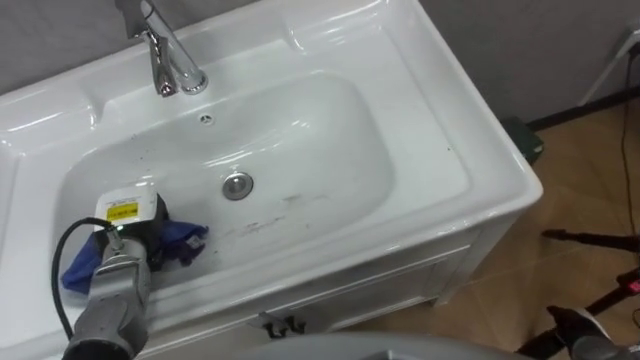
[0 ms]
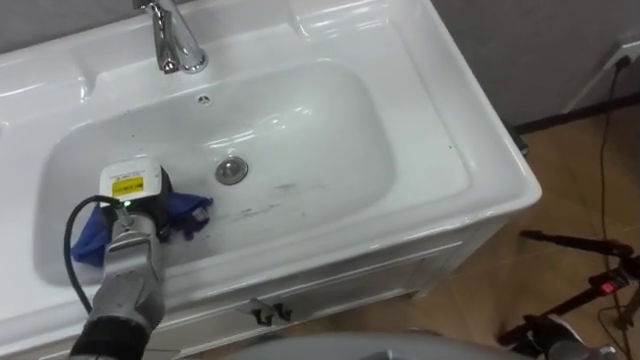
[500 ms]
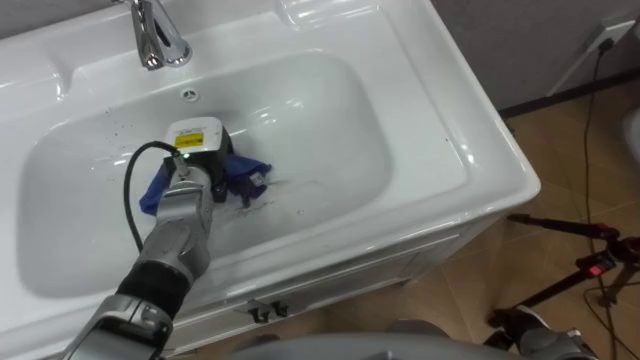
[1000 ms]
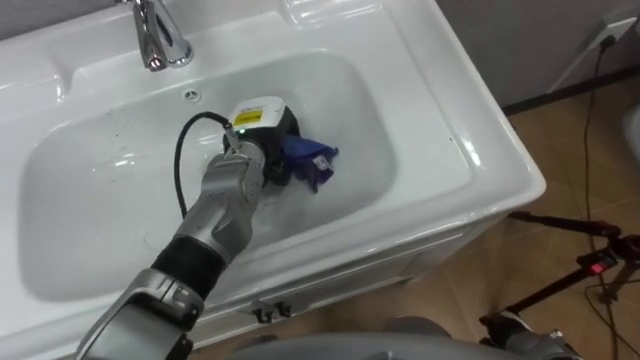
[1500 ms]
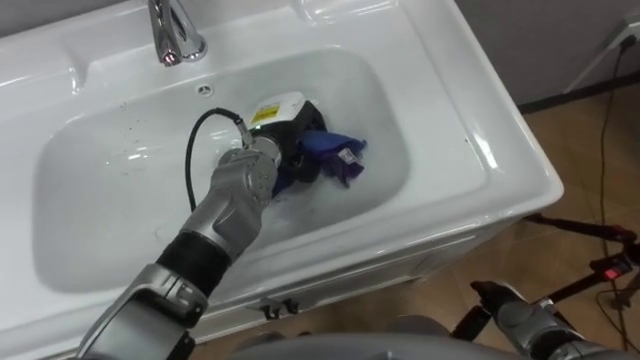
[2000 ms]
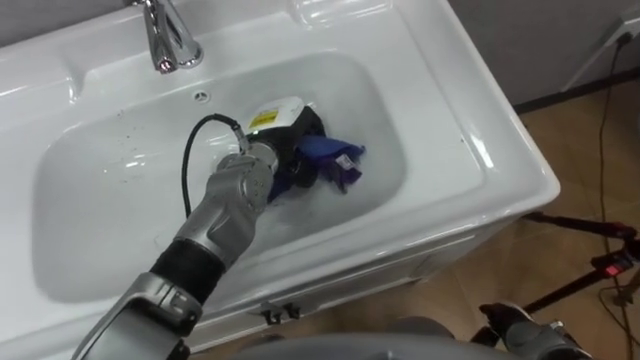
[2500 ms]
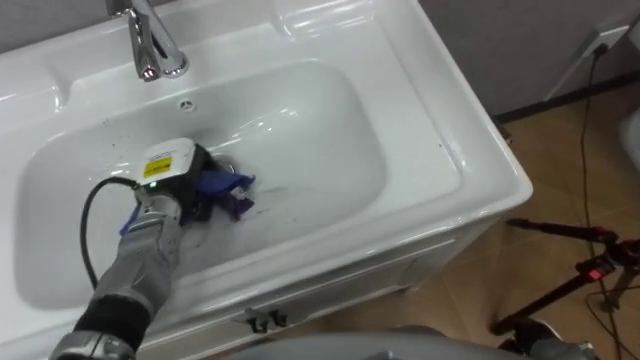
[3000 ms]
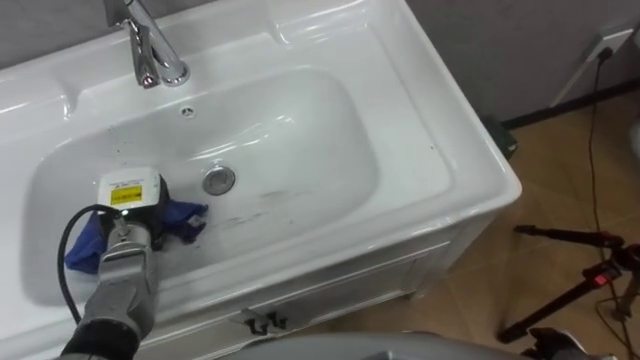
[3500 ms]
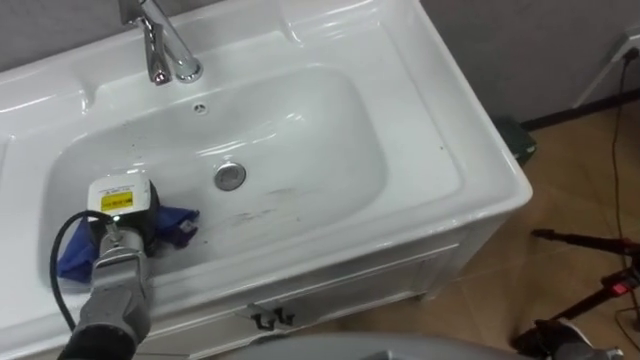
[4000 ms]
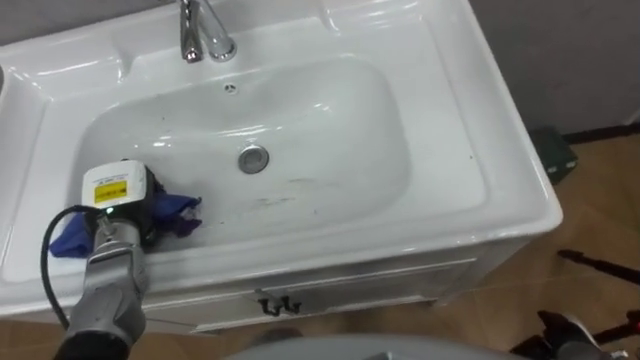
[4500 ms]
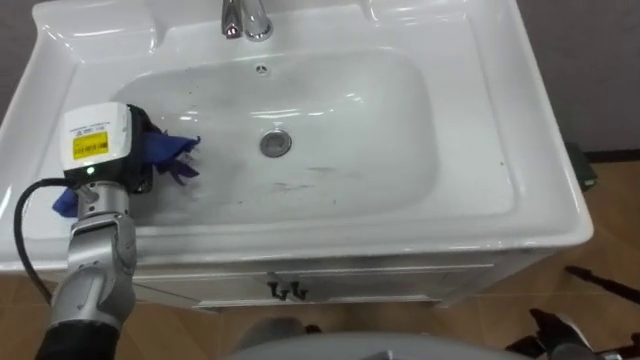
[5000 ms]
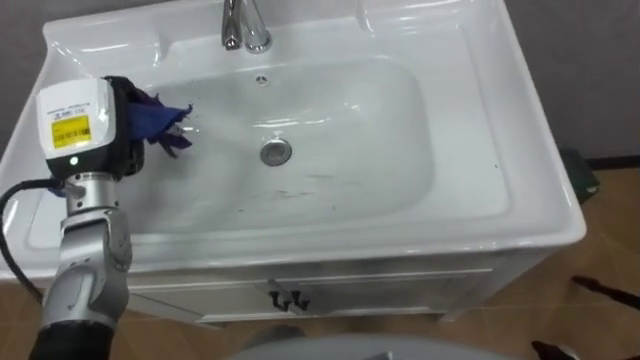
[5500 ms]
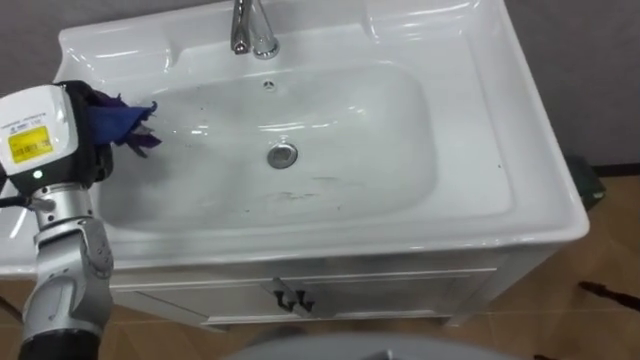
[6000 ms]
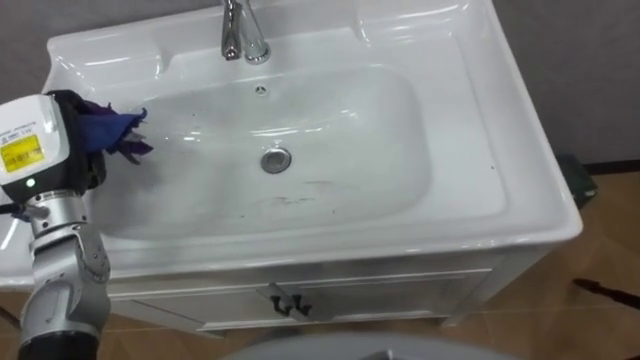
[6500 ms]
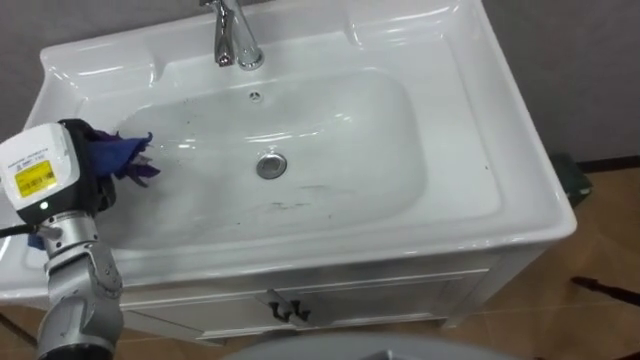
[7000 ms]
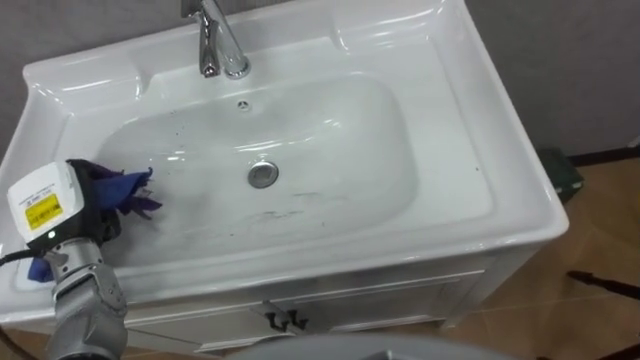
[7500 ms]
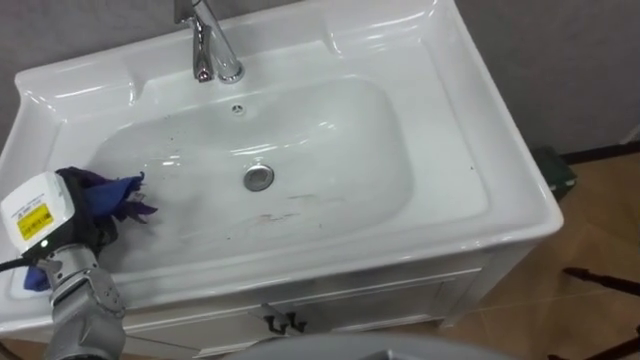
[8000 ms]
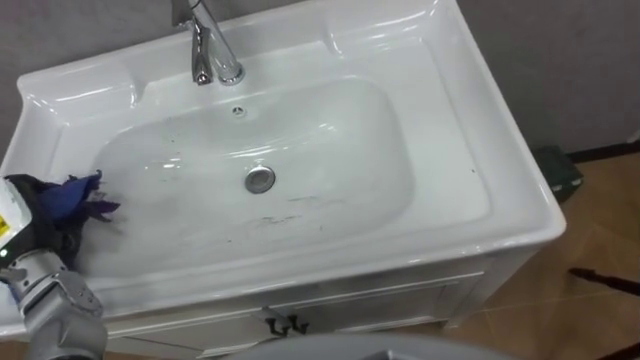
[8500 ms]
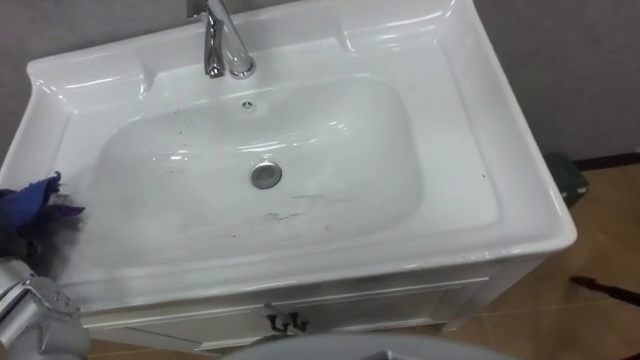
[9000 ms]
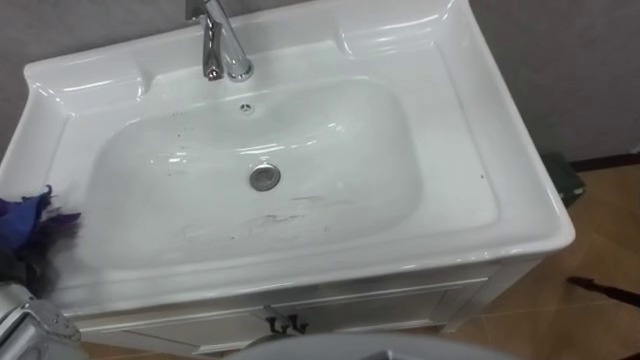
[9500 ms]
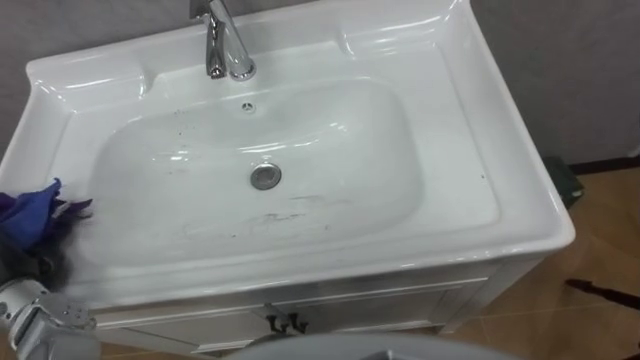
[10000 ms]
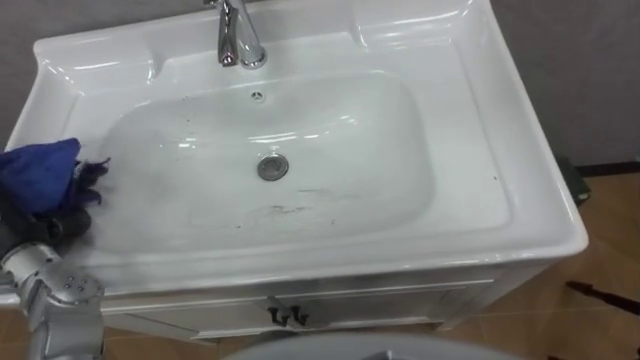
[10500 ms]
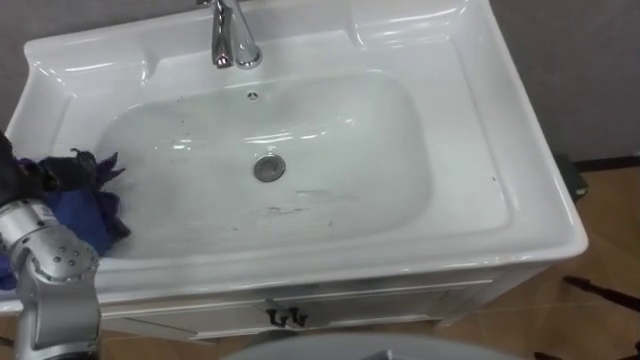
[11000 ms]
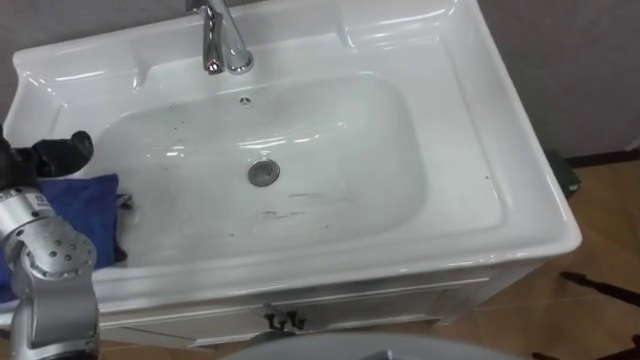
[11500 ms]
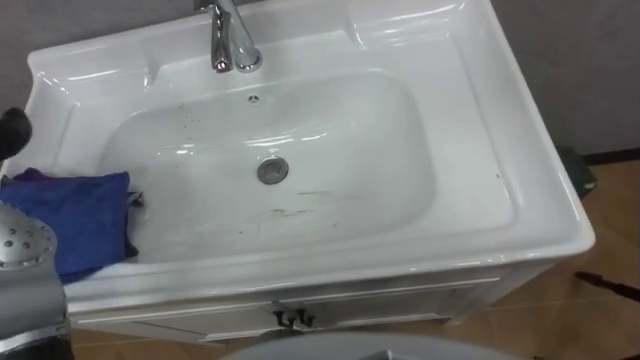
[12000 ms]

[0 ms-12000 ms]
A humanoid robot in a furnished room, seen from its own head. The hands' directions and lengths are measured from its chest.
Task of the whole recording: Use the cloth on the right to wipe away the black stain in the sink.
0 ms to 2000 ms: The left hand heads to the right and forward, covering some 25 cm.
2000 ms to 4000 ms: The left hand moves to the left and backward, roughly 25 cm.
4000 ms to 6000 ms: The left hand shifts about 15 cm upward.
6000 ms to 8000 ms: The left hand heads downward and backward, covering roughly 10 cm.

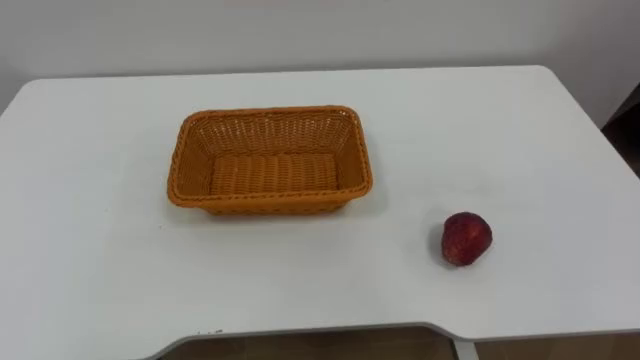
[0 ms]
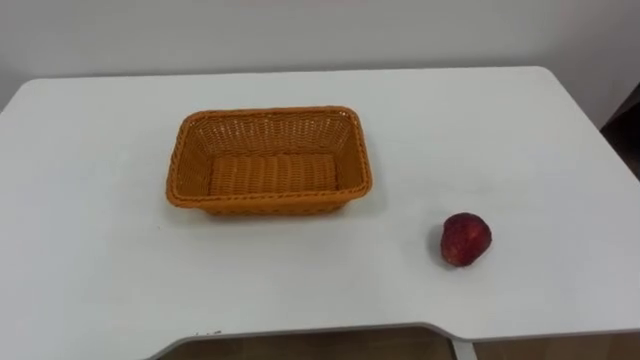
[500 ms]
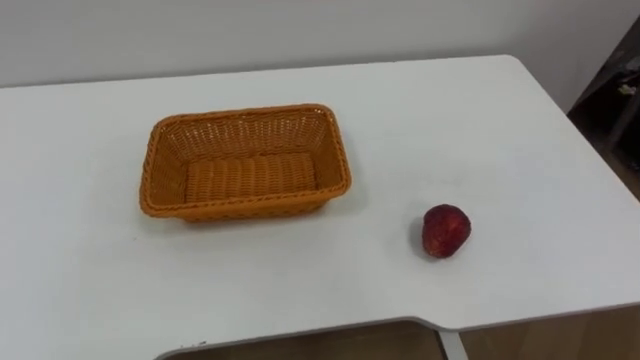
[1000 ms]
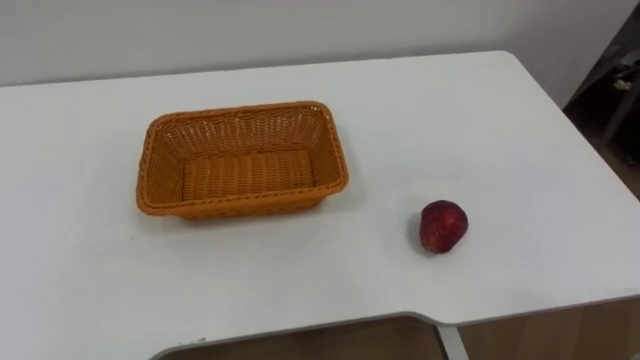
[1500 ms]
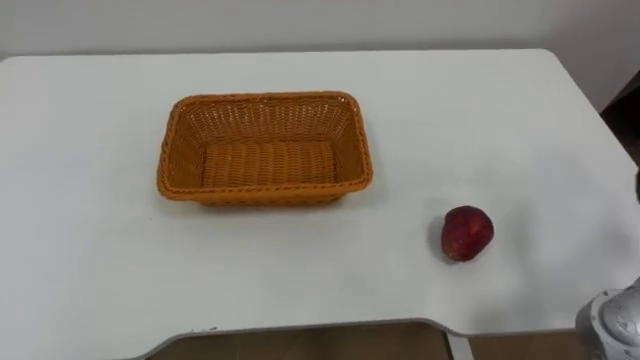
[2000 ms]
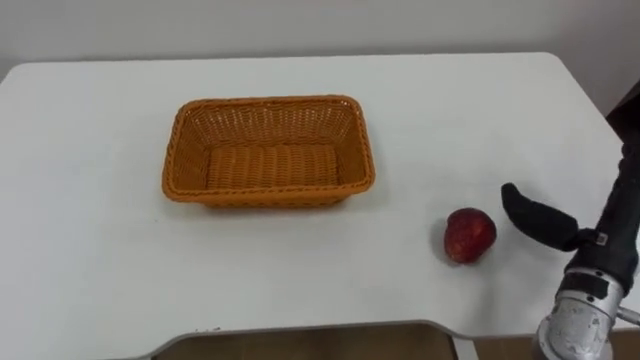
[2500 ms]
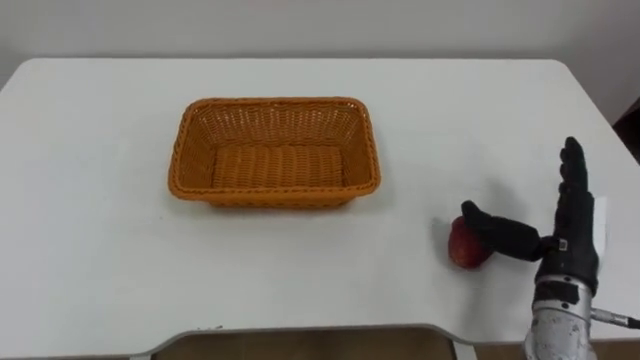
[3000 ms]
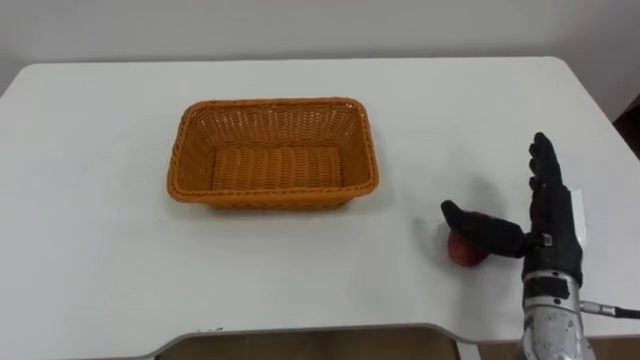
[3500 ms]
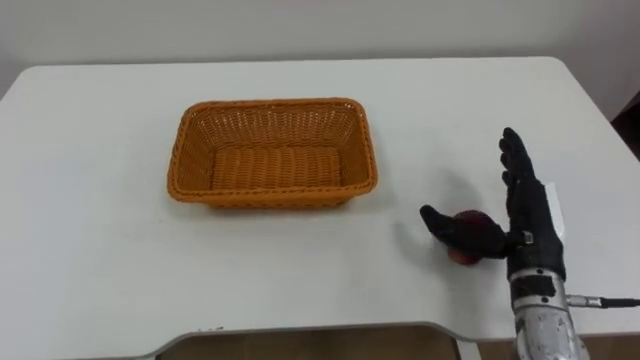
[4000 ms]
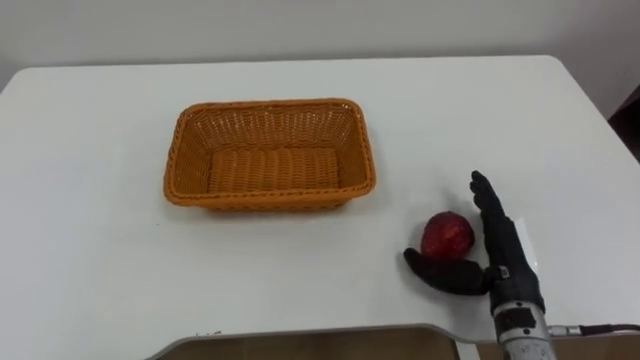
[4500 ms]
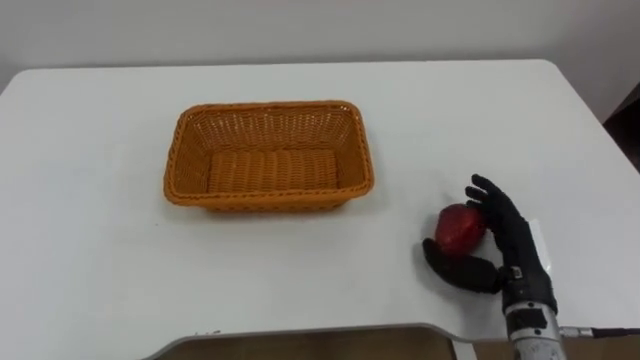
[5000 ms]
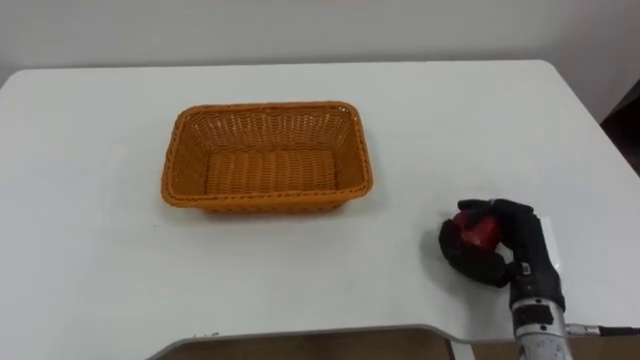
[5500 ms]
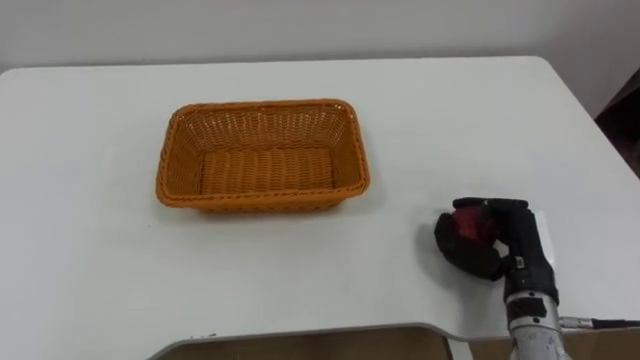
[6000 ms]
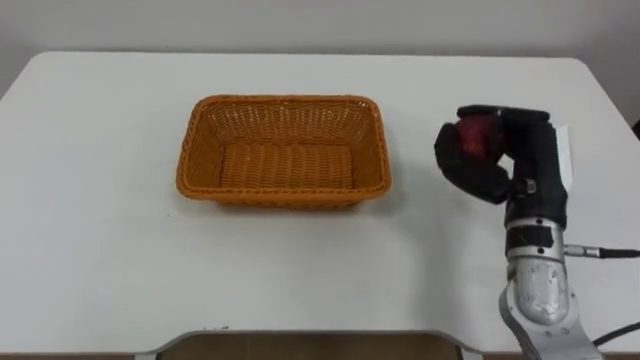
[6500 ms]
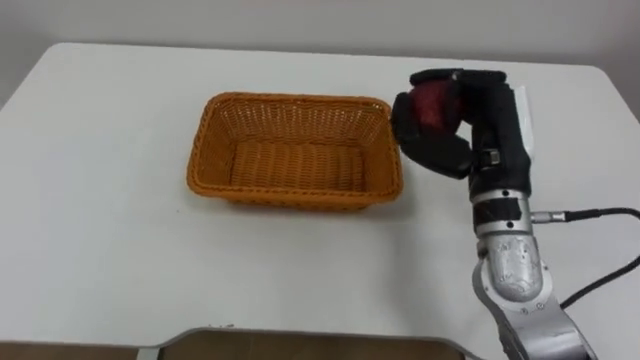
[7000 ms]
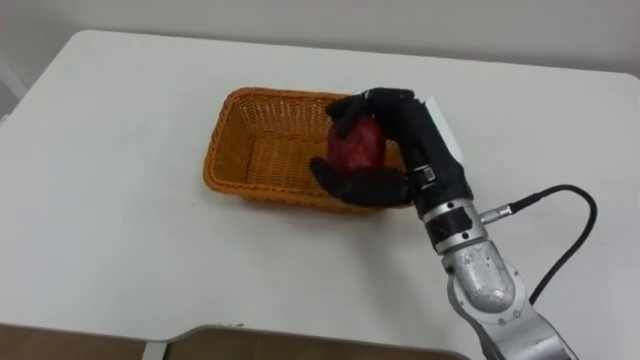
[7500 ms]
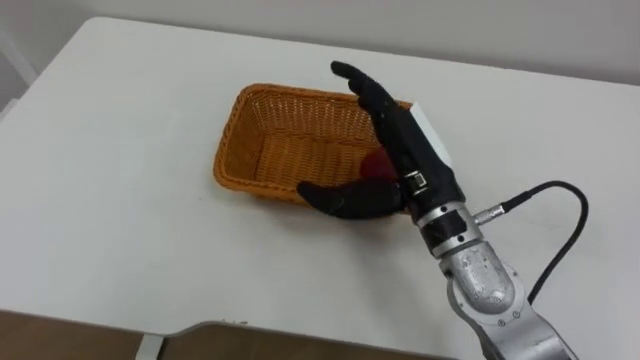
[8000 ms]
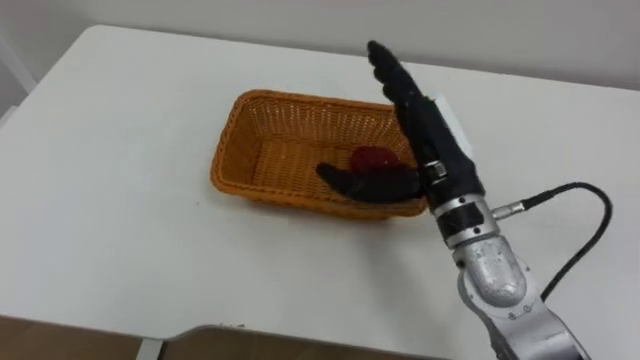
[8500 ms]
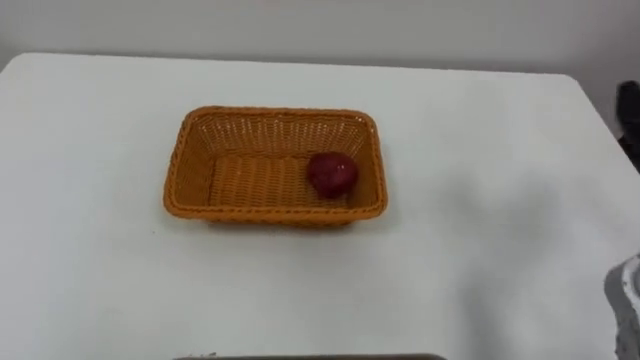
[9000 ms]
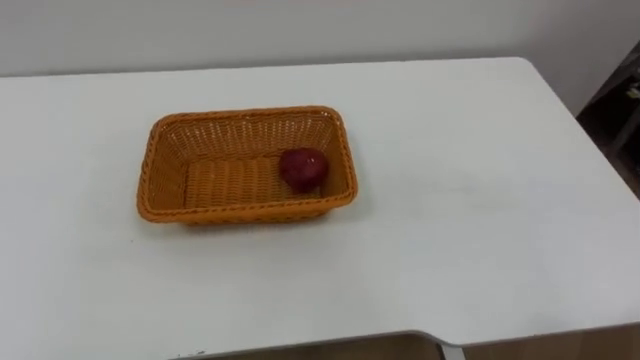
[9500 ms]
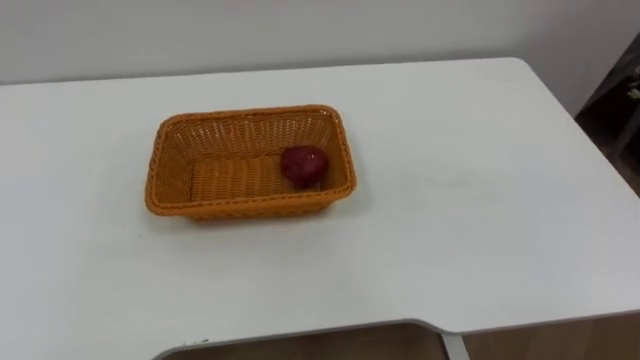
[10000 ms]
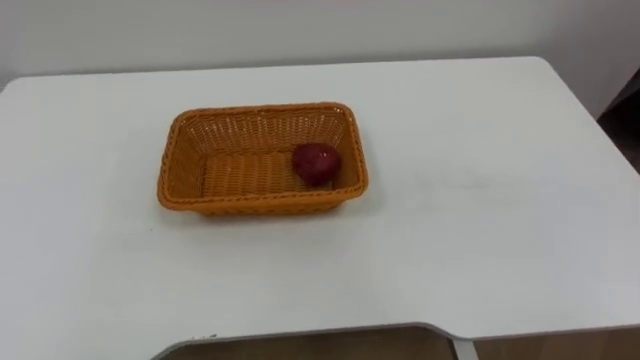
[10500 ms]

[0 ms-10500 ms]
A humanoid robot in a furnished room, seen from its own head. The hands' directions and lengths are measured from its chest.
Task of the whole recording: Pick the apple and place it in the box.
4000 ms to 6500 ms: The right hand shifts by about 5 cm, and closes its fingers.
6500 ms to 8500 ms: The right hand shifts some 10 cm to the left, and opens its fingers.
